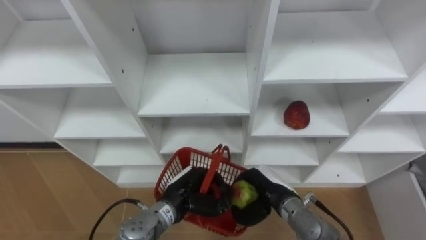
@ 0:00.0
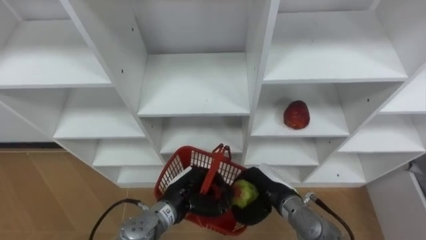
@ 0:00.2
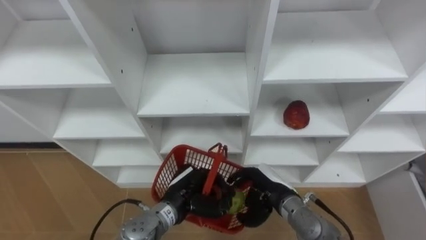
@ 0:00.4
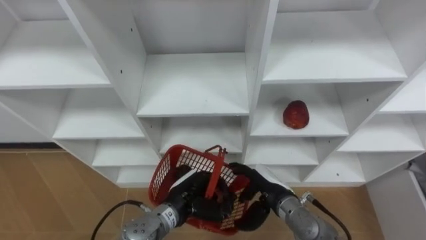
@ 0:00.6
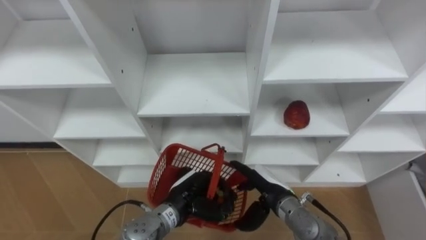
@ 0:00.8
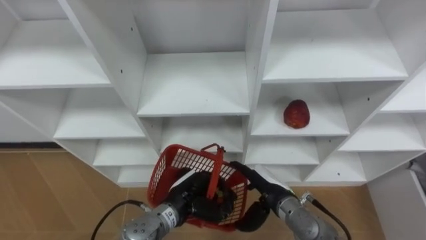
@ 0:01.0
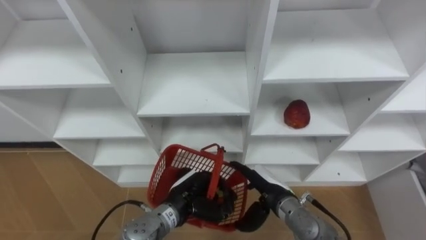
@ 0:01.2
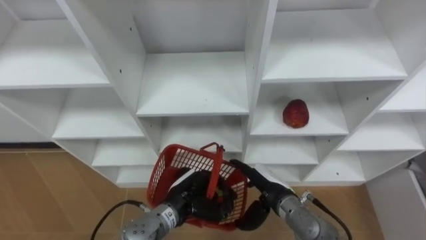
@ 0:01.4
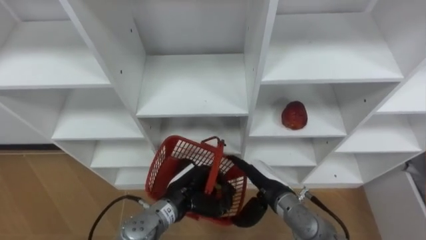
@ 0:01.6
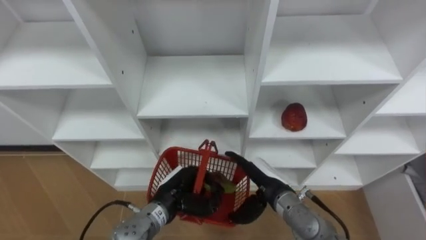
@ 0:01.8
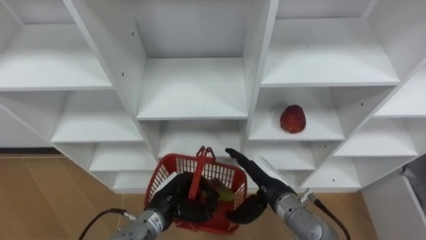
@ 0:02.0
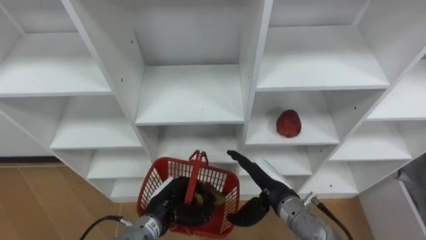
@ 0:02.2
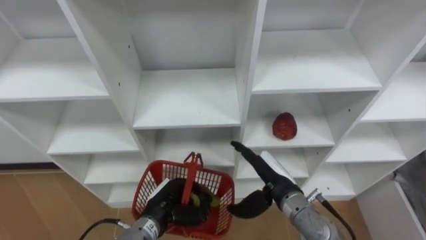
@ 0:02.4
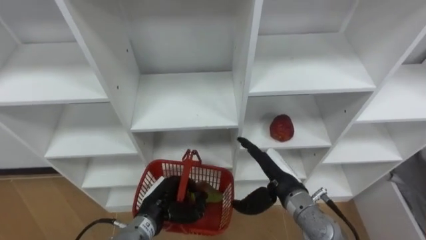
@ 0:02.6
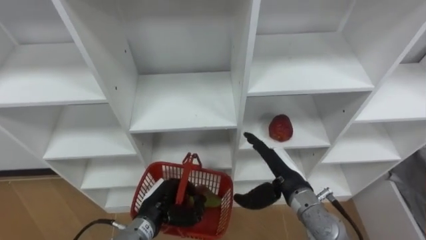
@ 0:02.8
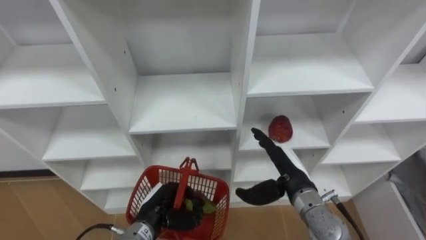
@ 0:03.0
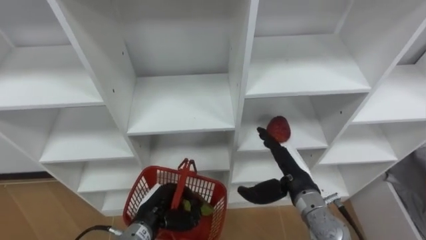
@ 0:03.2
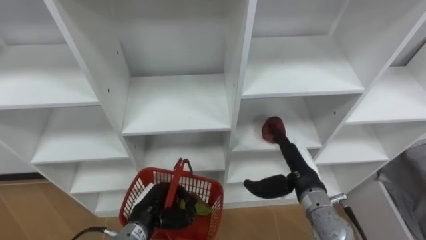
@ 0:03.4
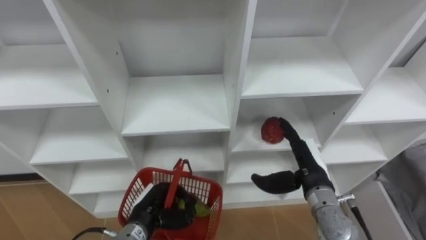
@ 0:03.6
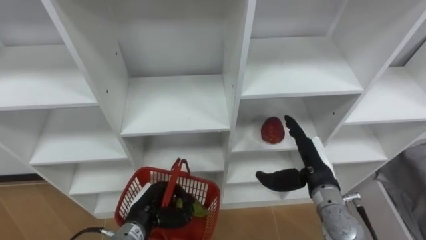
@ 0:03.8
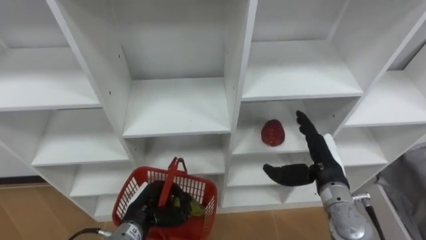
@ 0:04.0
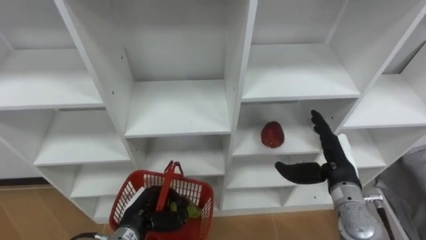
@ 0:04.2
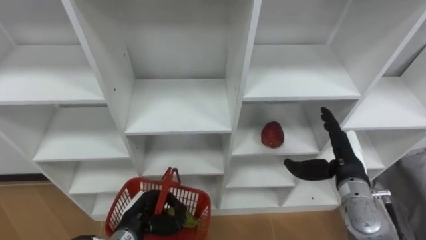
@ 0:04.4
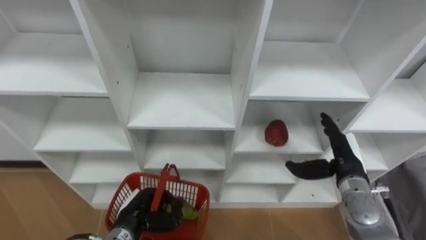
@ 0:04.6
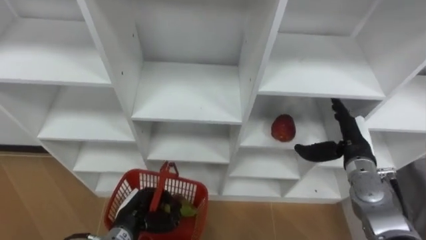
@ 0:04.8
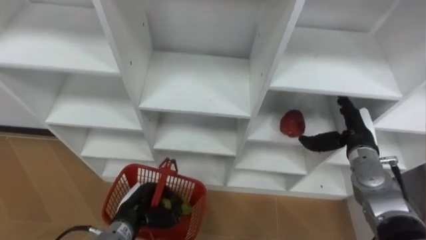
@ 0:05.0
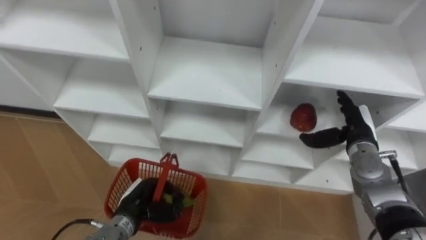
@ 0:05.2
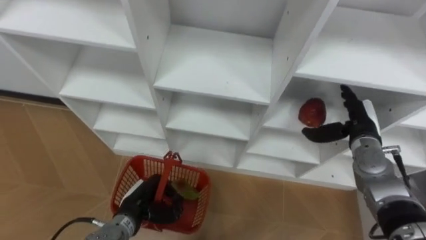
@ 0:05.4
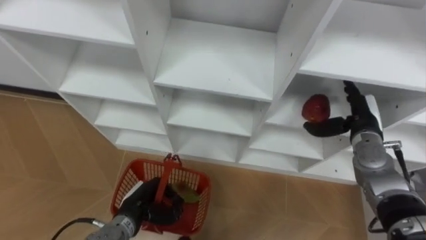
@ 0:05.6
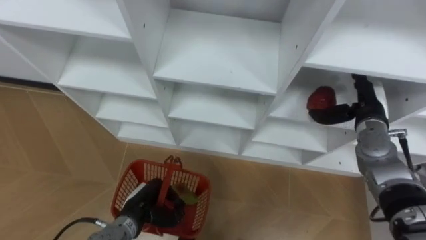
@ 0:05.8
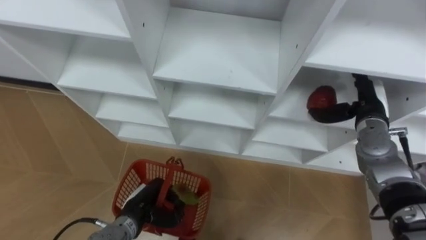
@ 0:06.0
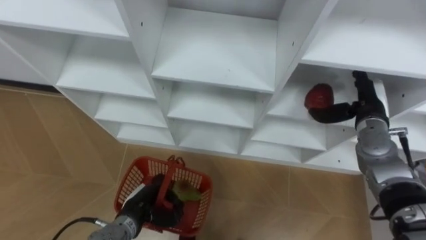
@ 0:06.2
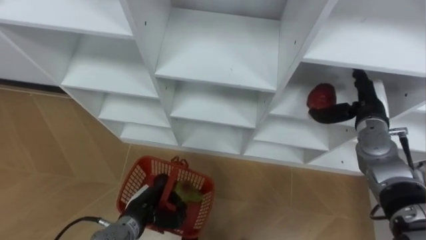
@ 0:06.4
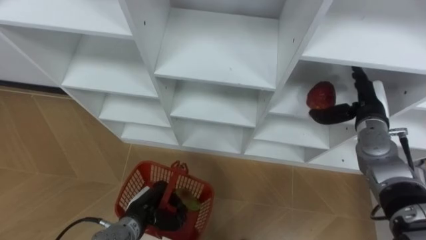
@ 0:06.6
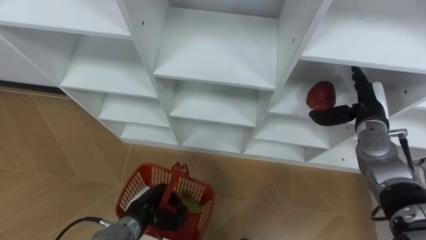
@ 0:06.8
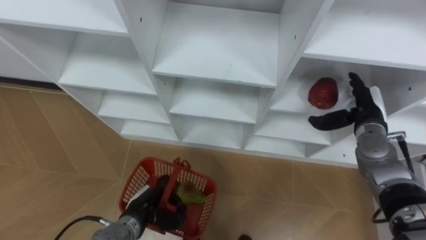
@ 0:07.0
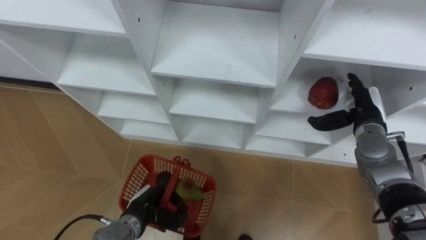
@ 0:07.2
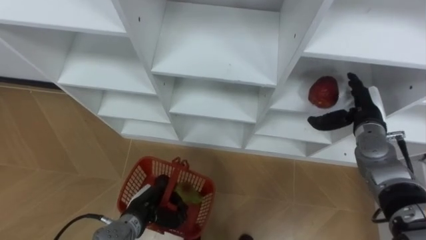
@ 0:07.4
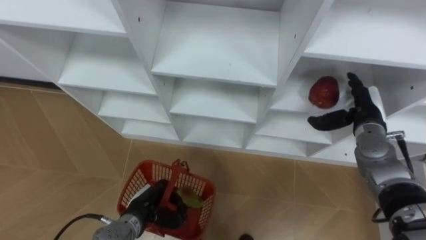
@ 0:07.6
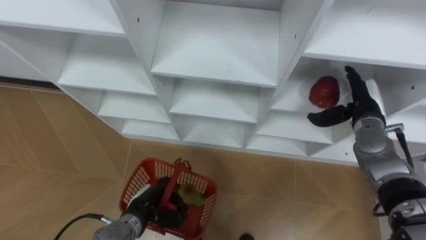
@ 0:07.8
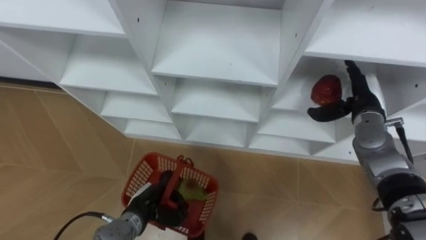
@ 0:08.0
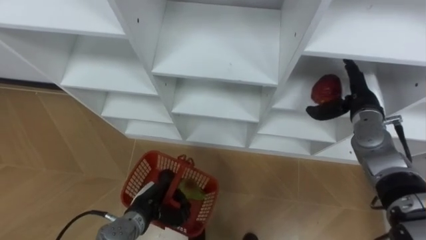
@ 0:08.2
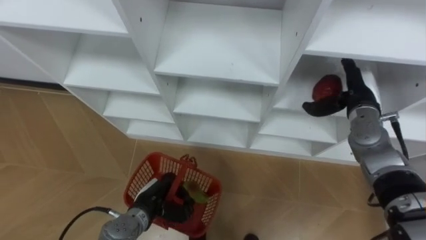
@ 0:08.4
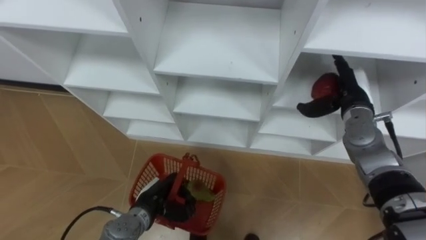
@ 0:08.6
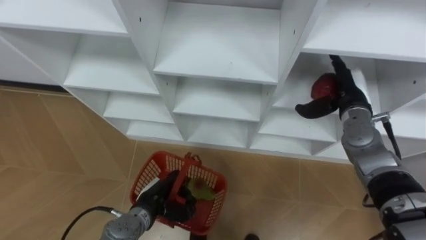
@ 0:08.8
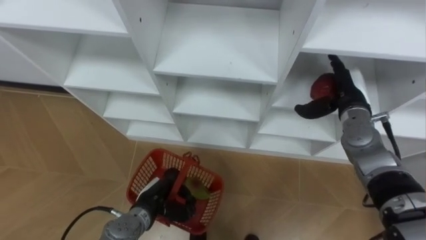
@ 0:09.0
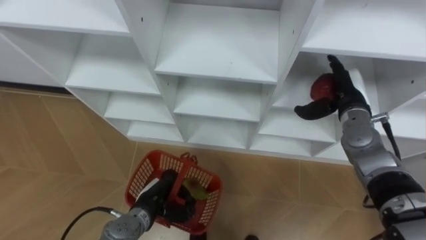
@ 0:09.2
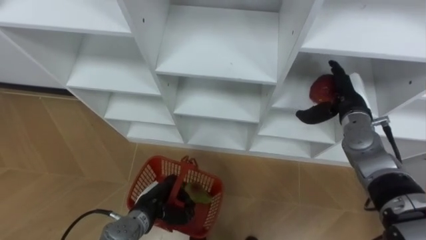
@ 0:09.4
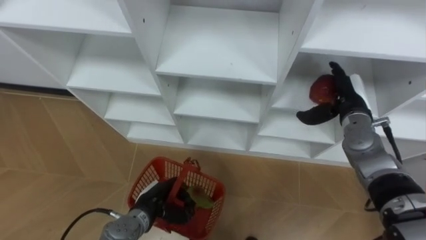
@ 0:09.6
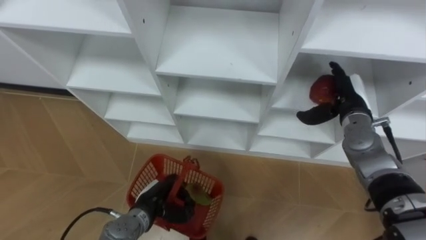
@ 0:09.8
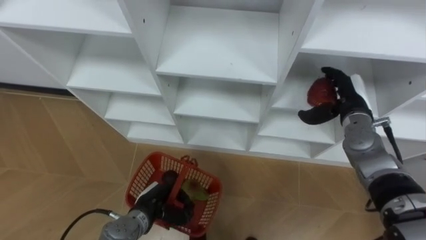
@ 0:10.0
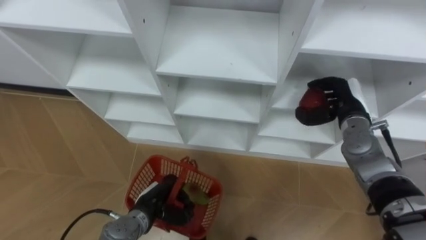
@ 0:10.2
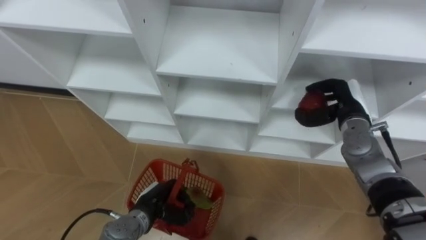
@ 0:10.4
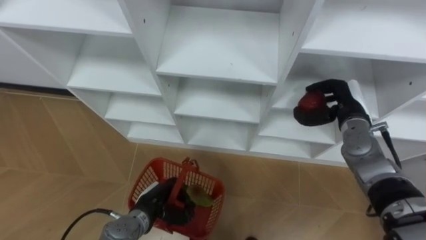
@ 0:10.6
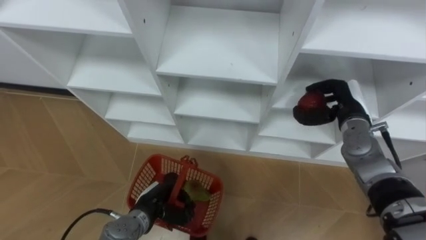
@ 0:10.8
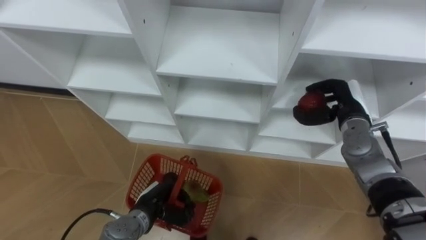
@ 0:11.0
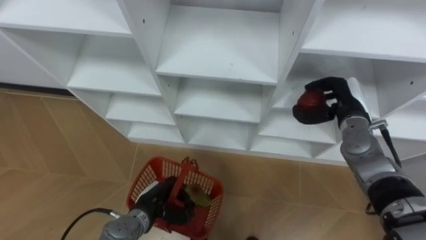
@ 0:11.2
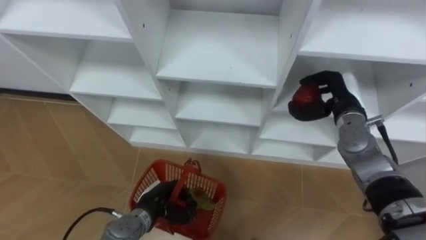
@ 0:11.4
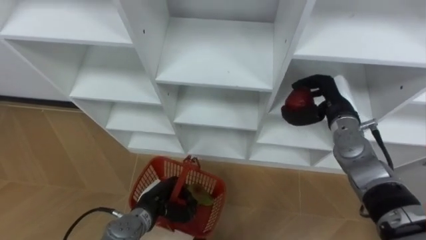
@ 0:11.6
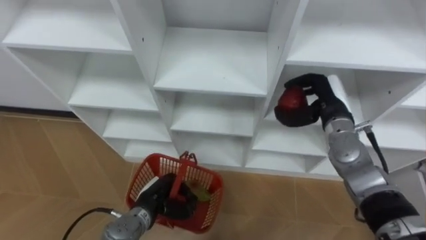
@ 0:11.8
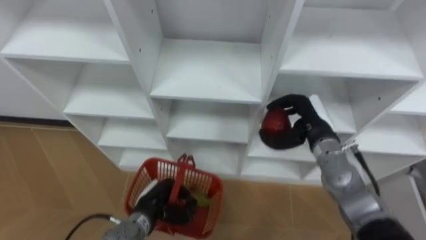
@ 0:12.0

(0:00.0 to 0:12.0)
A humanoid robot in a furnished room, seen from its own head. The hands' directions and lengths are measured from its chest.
Task of the whole recording: Hold the basket and collect the fruits from 3 different cells of the closet into it.
0:00.0 - 0:01.6: The right hand opens up.
0:01.6 - 0:03.0: The right hand ends up approximately 5 cm from where it was, while the left hand goes about 5 cm to the left.
0:03.0 - 0:04.4: The right hand shifts approximately 10 cm to the right.
0:04.4 - 0:06.0: The right hand is displaced forward by approximately 10 cm.
0:07.6 - 0:09.0: The right hand changes place by roughly 5 cm.
0:09.0 - 0:10.4: The right hand closes up.
0:10.4 - 0:12.0: The right hand shifts about 5 cm to the left.

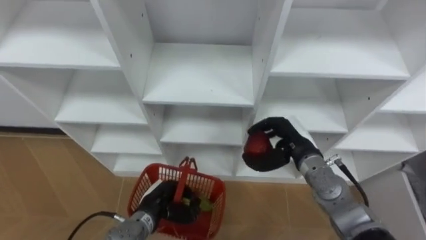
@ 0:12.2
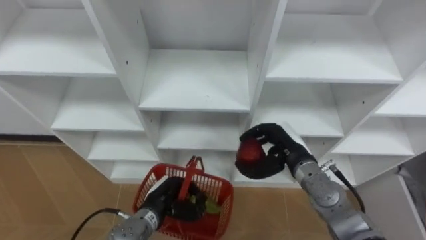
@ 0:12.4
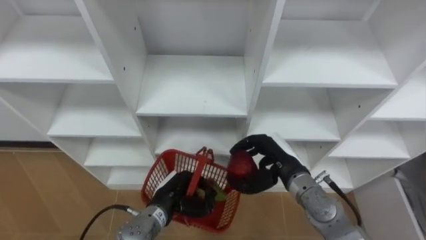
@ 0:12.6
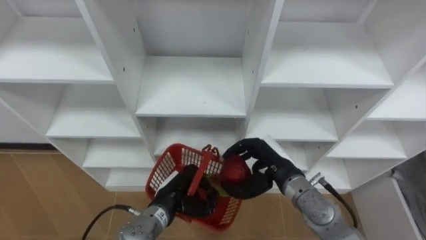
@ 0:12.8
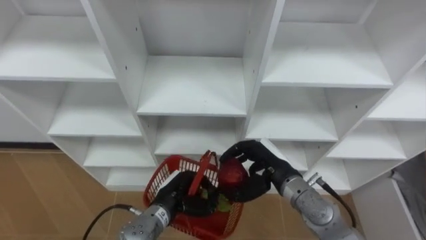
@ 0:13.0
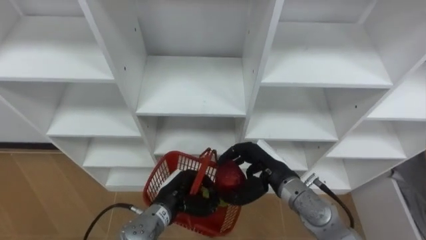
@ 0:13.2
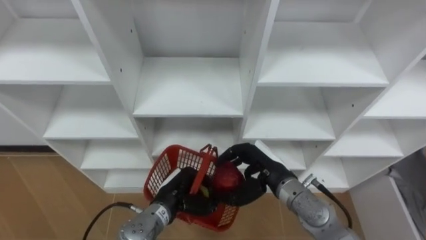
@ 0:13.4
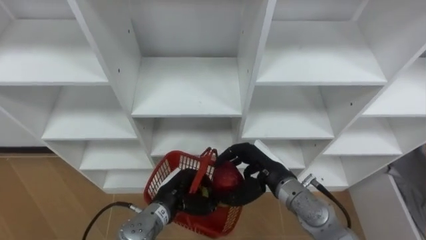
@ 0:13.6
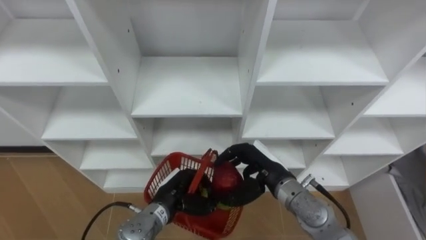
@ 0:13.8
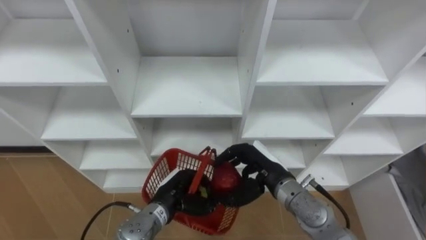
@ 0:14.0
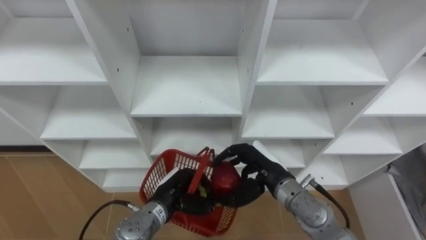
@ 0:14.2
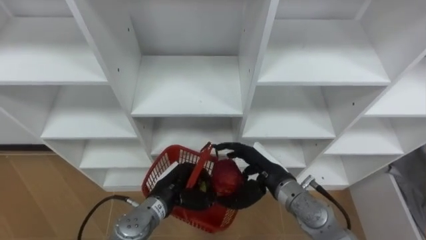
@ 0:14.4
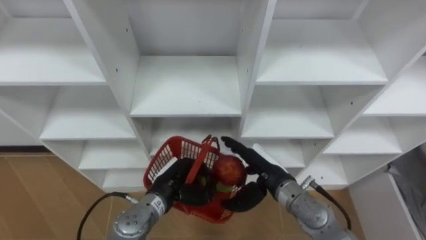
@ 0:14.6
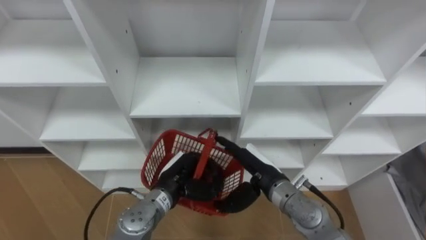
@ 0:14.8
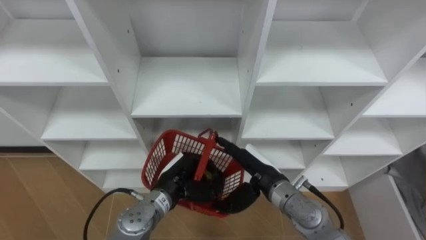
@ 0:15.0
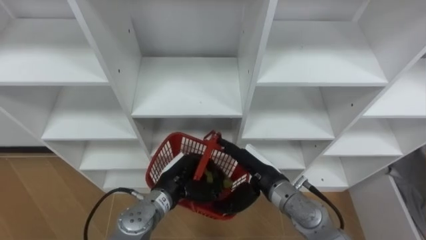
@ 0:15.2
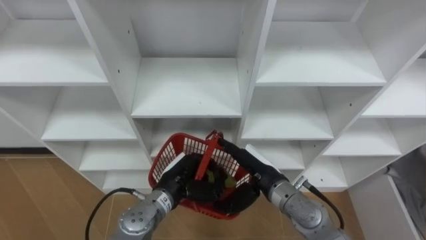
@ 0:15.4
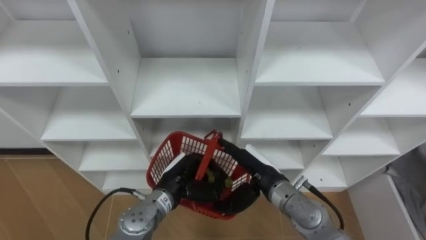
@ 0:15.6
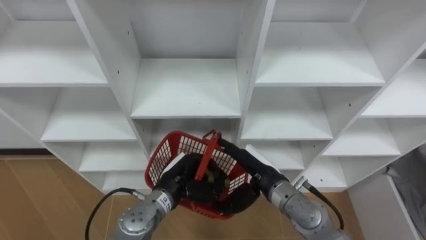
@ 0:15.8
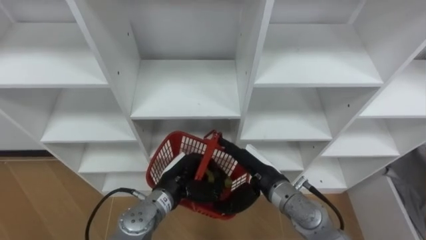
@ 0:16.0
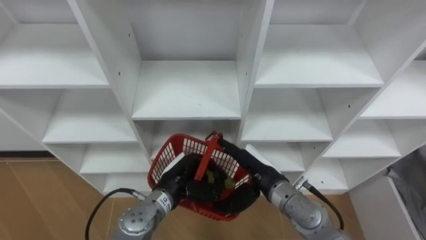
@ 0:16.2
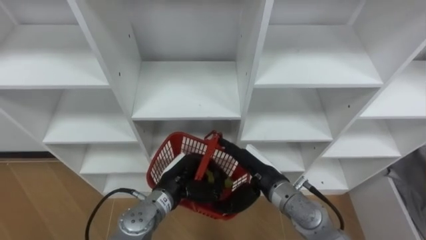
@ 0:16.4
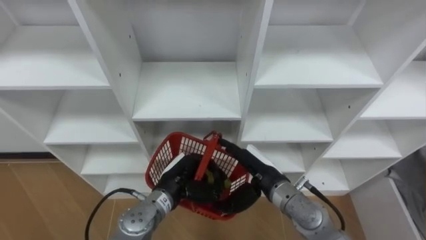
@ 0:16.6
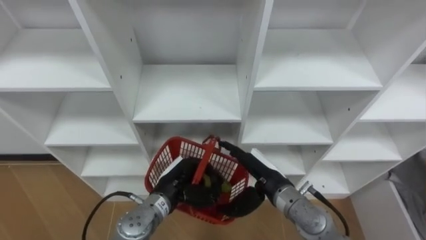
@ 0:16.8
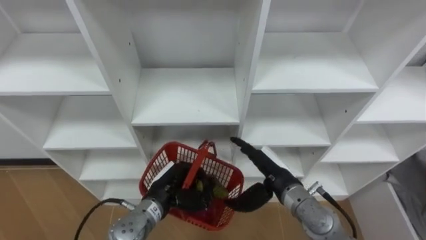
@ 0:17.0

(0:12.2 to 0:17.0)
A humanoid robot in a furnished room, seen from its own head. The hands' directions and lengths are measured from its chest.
Task of the whole recording: Hold the basket and collect the fruits from 3 different cells of the closet into it.
0:12.2 - 0:13.8: The right hand heads to the left and backward, covering approximately 10 cm; the left hand ends up roughly 5 cm from where it was.
0:13.8 - 0:15.4: The right hand opens up.
